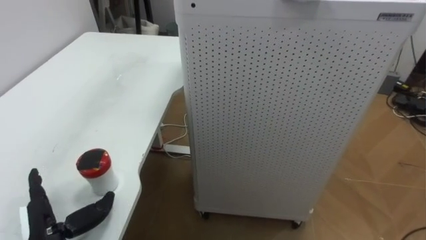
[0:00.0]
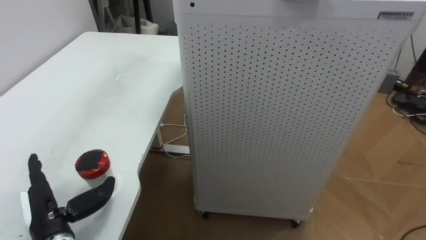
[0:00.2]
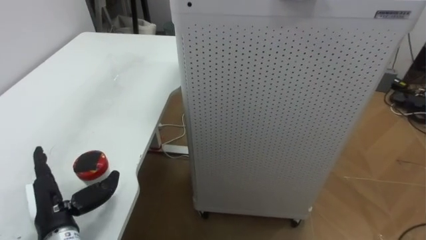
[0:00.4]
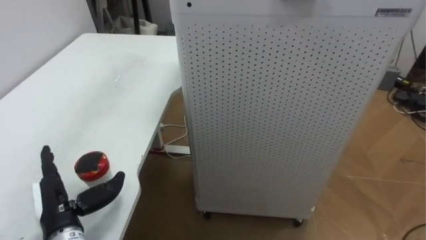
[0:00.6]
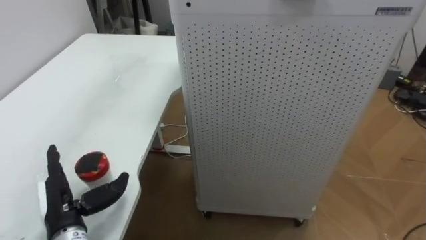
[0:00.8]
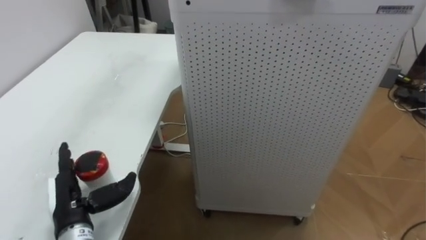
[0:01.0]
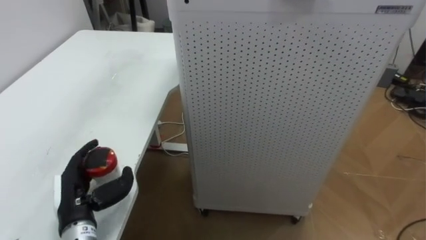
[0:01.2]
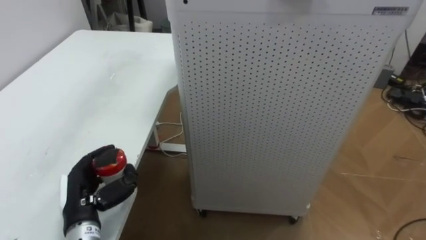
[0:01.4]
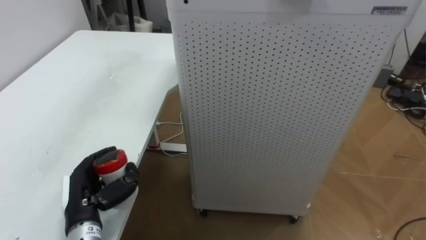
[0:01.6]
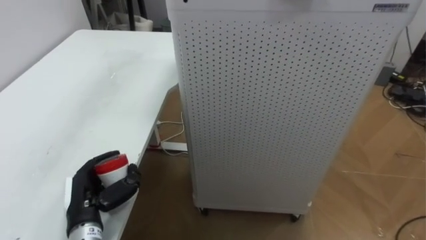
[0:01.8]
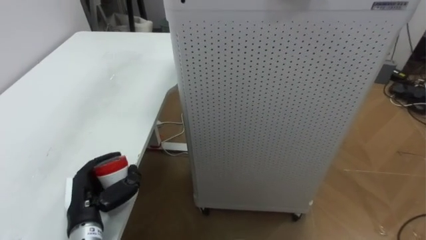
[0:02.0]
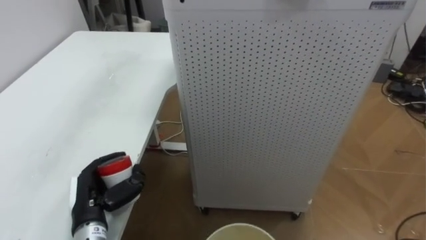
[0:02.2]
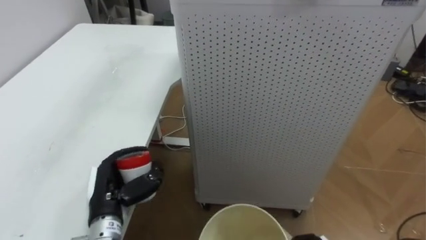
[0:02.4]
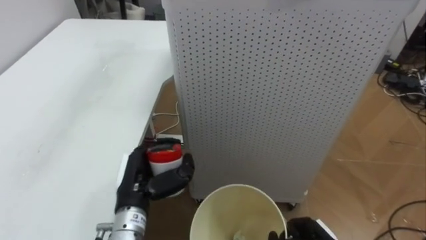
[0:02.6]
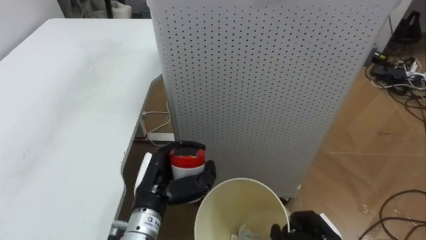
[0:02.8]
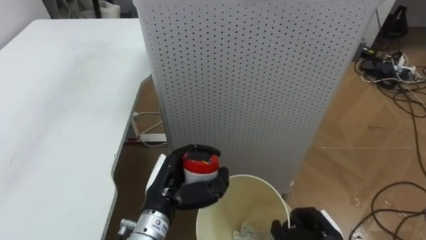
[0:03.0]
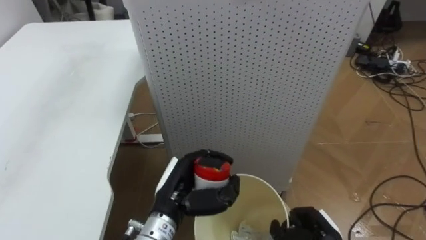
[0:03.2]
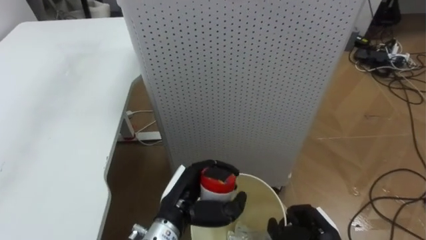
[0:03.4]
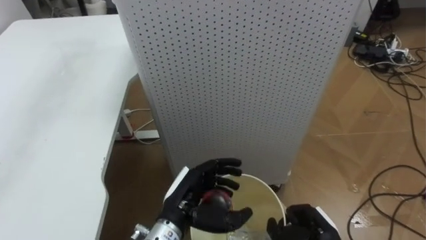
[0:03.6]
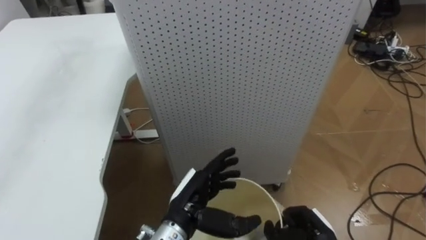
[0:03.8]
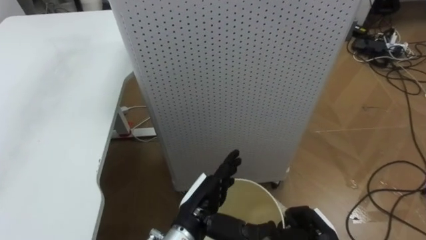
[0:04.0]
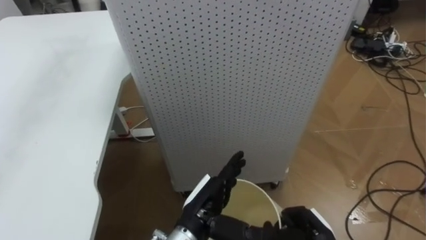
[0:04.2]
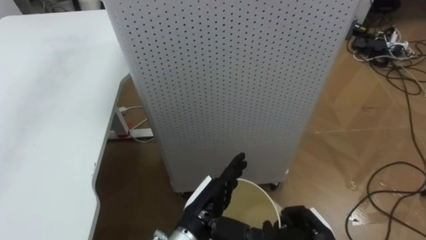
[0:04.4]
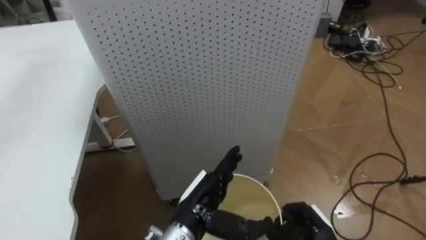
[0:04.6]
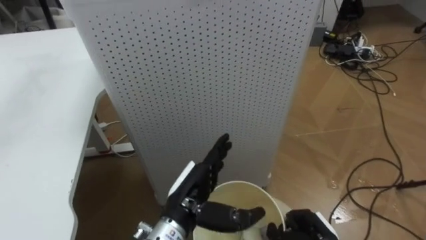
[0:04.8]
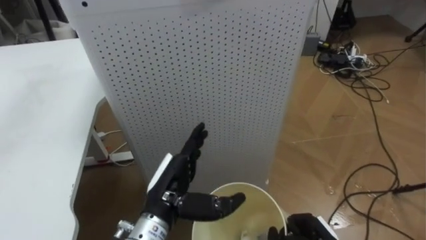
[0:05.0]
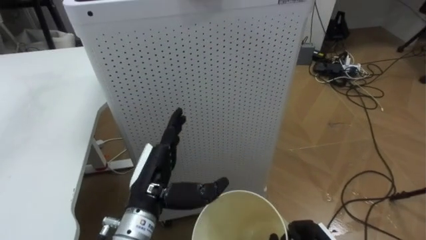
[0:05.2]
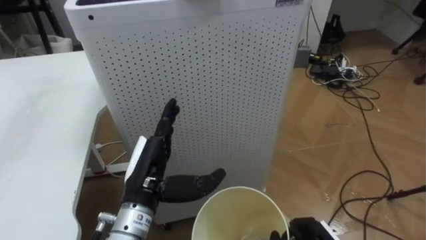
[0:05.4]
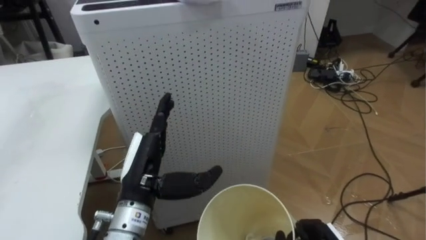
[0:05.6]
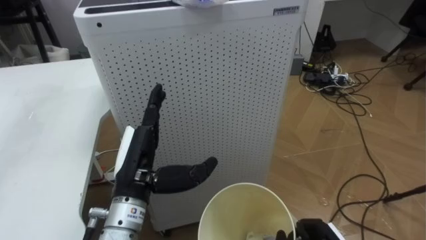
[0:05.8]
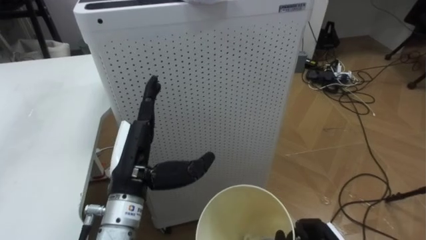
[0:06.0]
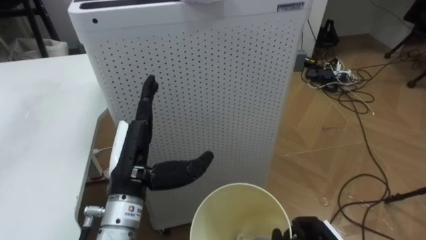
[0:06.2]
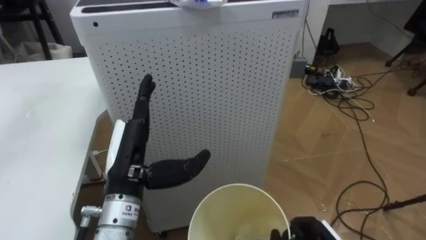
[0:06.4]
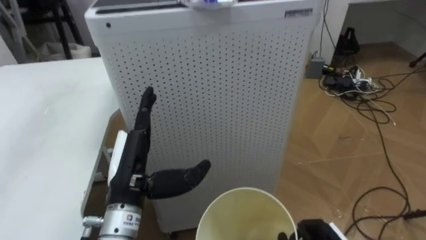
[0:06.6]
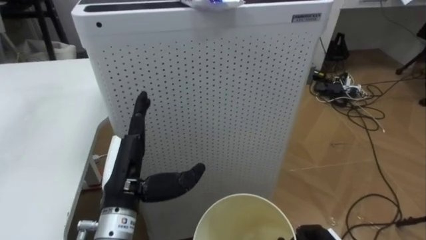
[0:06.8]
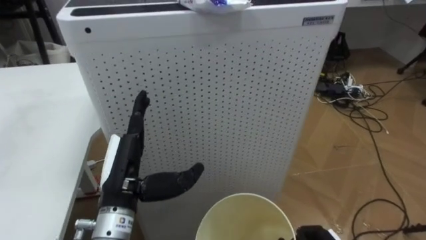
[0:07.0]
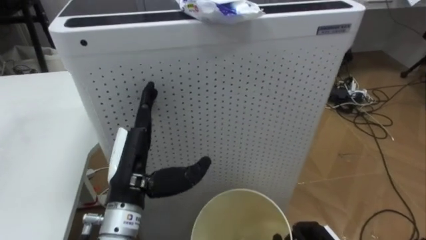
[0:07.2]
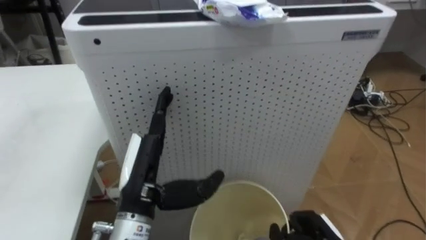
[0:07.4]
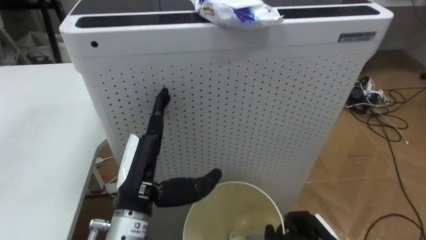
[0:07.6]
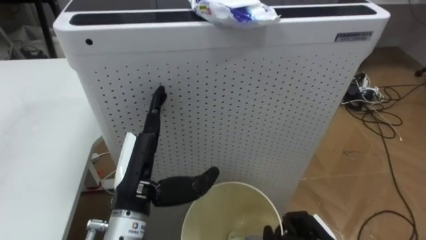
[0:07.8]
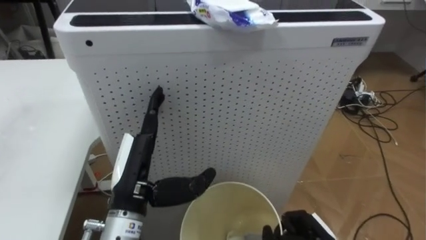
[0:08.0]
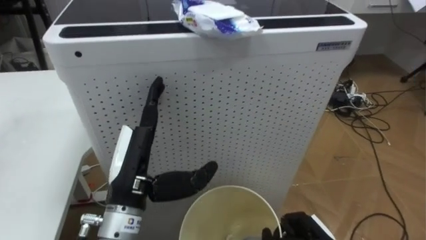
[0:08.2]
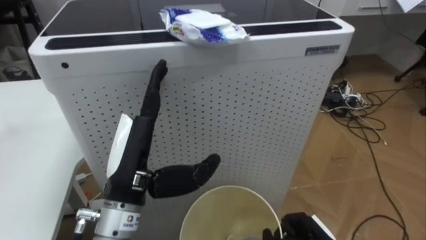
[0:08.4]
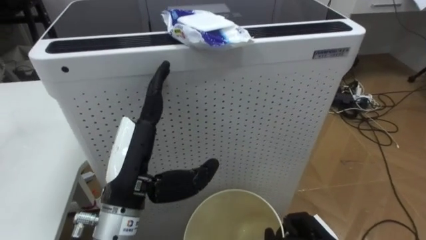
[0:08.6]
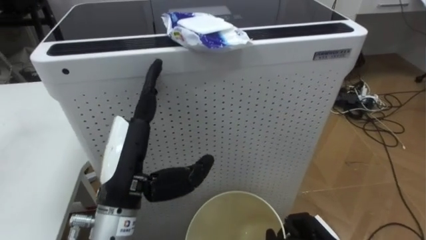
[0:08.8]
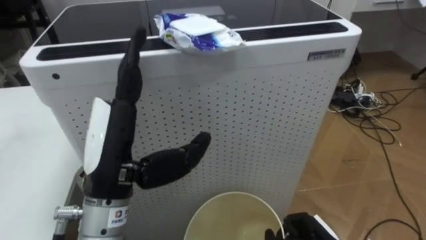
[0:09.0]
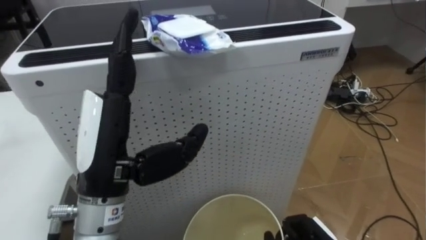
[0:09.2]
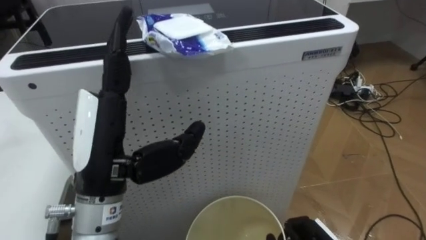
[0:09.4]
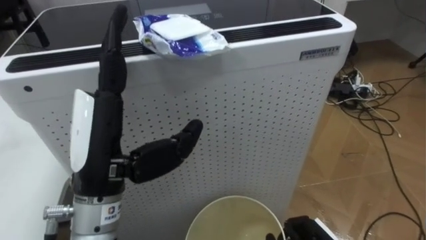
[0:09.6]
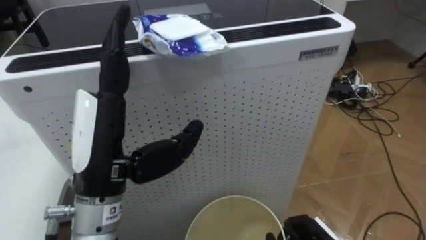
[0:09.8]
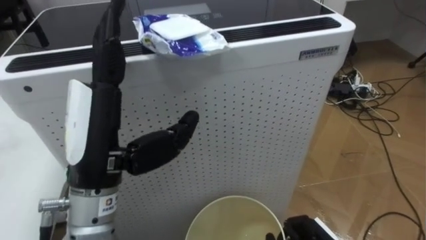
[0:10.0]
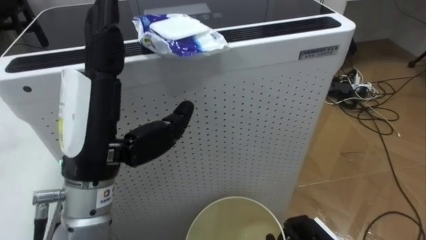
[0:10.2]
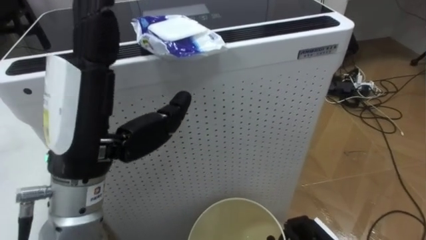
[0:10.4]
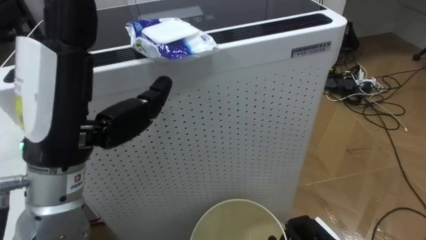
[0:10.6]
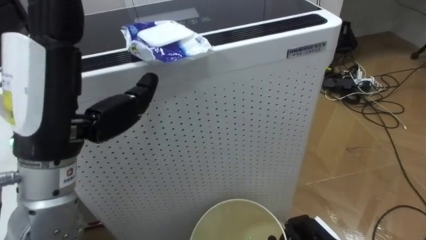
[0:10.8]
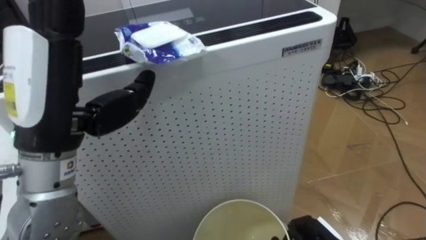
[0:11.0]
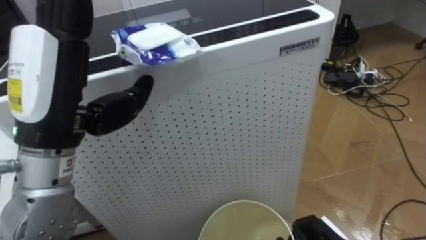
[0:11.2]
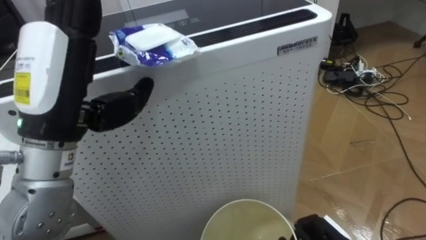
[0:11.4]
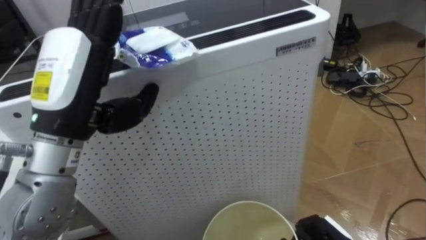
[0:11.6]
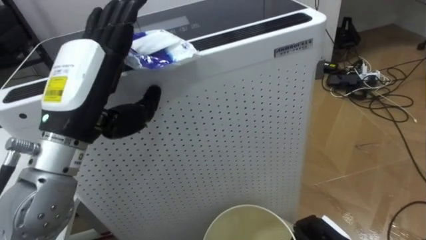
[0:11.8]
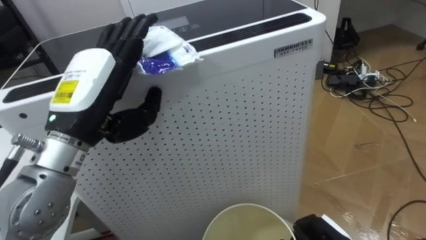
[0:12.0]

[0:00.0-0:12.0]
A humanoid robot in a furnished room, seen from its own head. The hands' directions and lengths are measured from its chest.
Task of the whole recording: Pick up the light blue package, the candy box, and the dark blue package separately, and put them into the trash can held in your right hand.
0:00.0 to 0:01.6: The left hand heads forward, covering approximately 5 cm, and closes up.
0:01.6 to 0:03.0: The left hand goes about 15 cm to the right.
0:03.0 to 0:04.4: The left hand shifts about 10 cm to the right, and opens its fingers.
0:04.4 to 0:06.0: The left hand moves to the left and upward, roughly 15 cm.
0:07.6 to 0:09.0: The left hand goes some 10 cm upward.
0:09.0 to 0:10.4: The left hand shifts approximately 5 cm upward.
0:10.4 to 0:12.0: The left hand heads forward, covering about 5 cm.

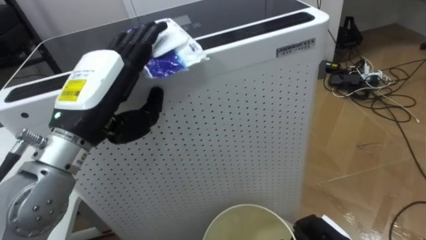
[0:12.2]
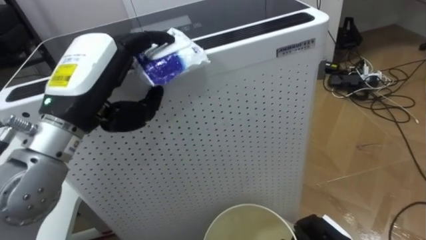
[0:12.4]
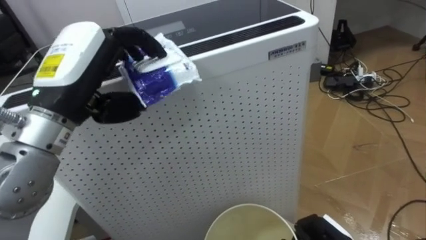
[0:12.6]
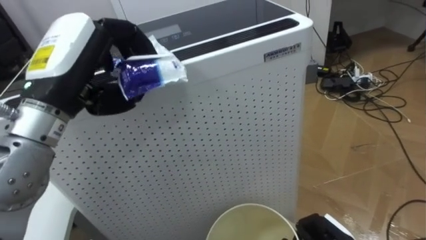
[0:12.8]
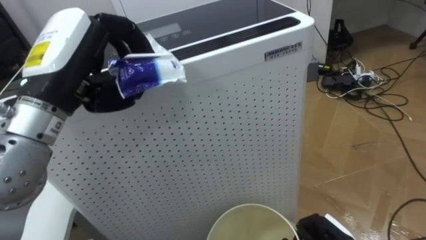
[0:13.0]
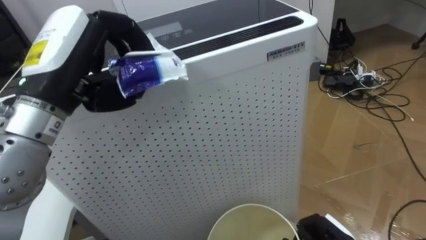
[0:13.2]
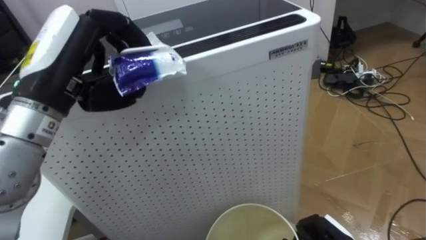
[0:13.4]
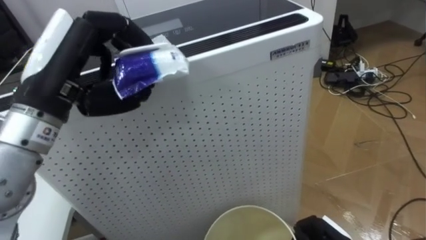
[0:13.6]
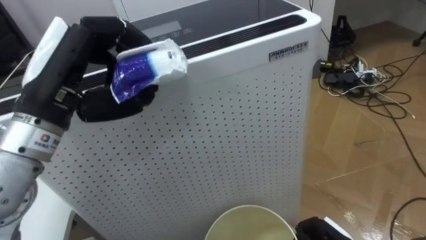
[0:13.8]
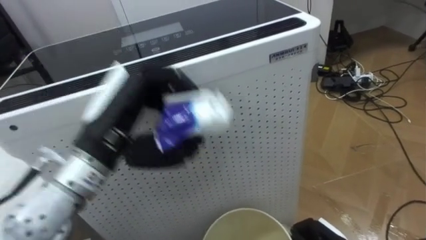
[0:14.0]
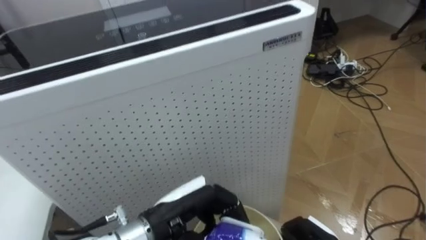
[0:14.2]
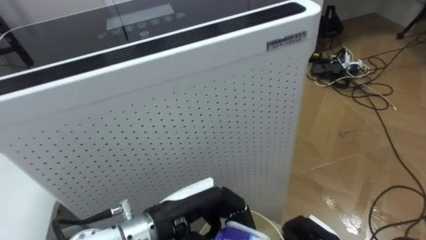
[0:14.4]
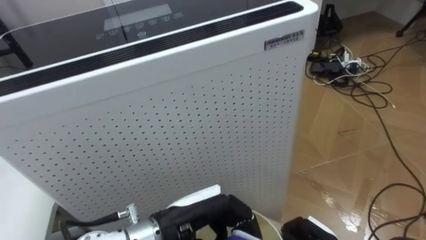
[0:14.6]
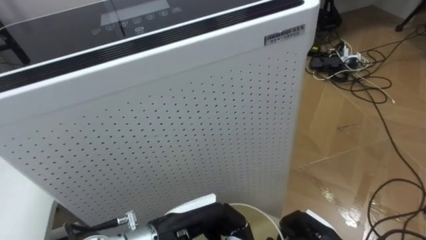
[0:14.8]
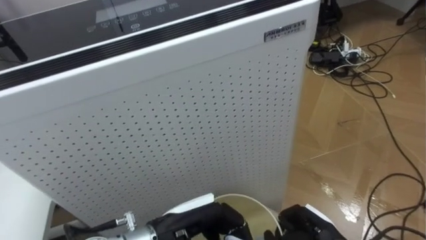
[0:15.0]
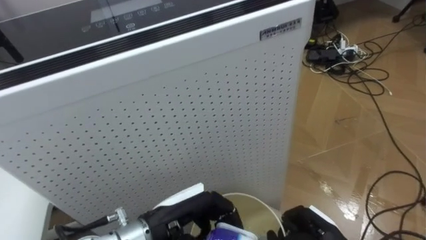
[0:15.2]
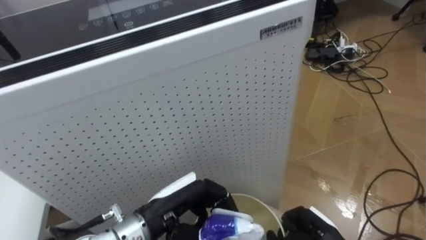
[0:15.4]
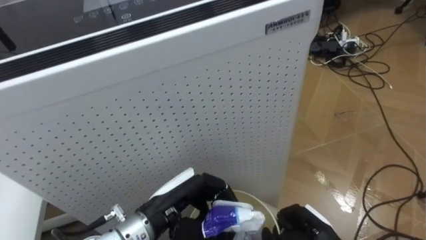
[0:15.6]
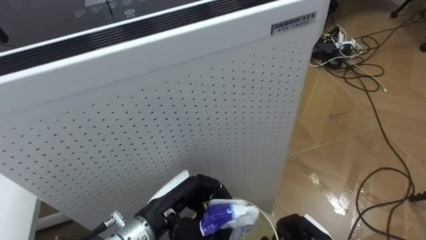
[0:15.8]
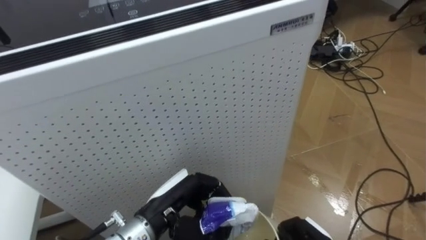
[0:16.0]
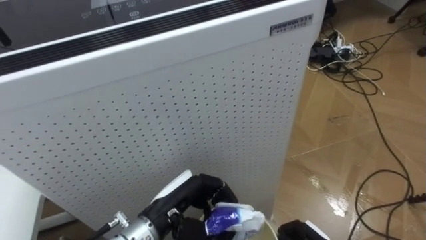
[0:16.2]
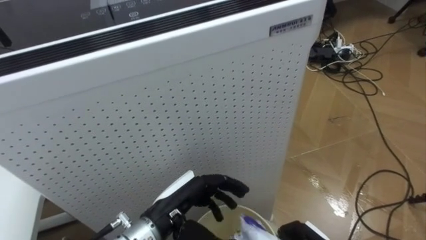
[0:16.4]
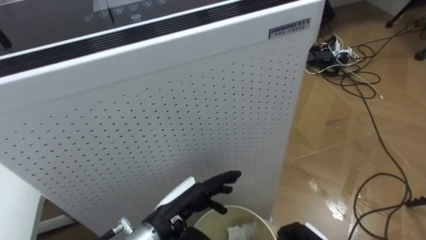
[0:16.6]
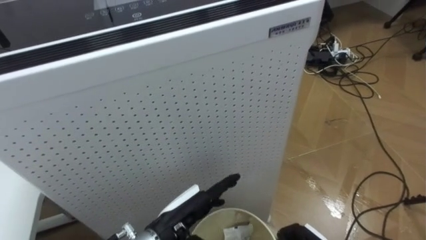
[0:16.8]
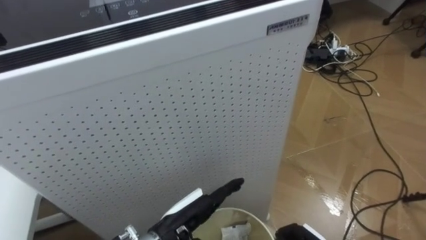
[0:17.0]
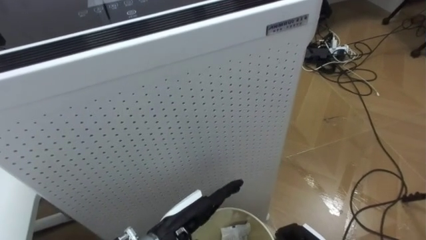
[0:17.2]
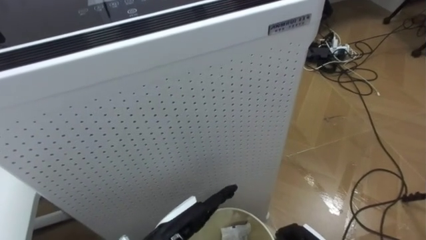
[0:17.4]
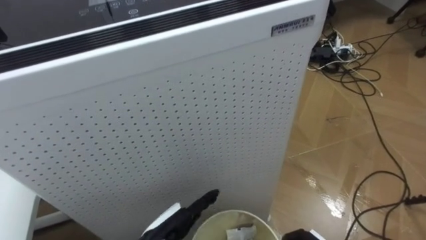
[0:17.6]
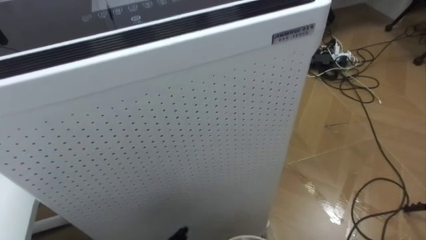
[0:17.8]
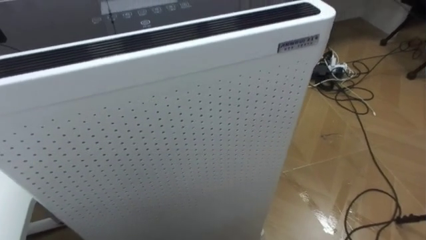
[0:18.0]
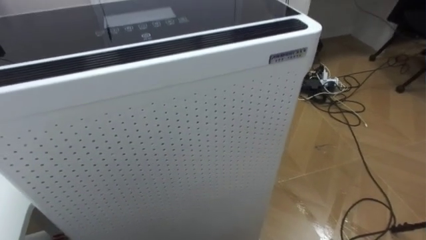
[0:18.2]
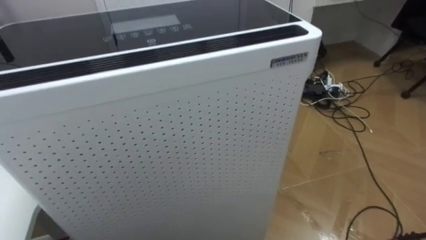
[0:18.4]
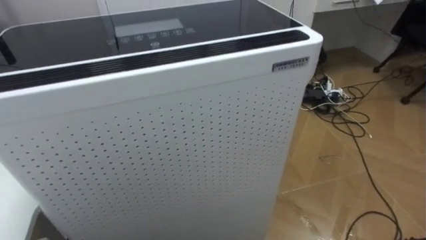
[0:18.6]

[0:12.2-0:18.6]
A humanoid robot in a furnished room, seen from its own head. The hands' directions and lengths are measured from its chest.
Task of the whole recording: Pick up the light blue package, the candy box, and the dark blue package separately, and put them into the trash can held in your right hand.
0:12.2 to 0:13.8: The left hand closes its fingers.
0:13.8 to 0:15.4: The left hand shifts some 25 cm downward and to the right.
0:15.4 to 0:17.0: The left hand opens its fingers.
